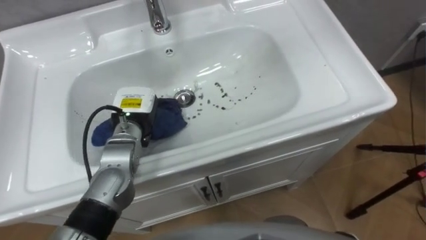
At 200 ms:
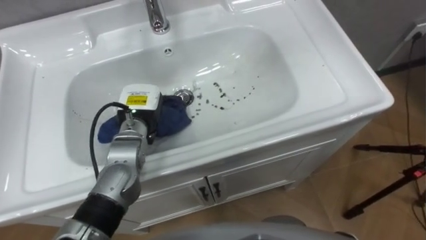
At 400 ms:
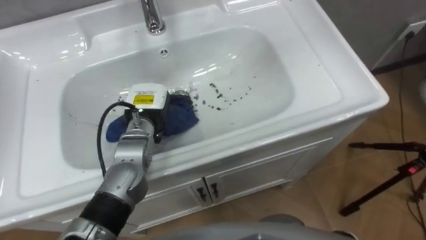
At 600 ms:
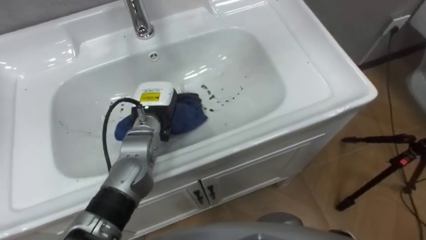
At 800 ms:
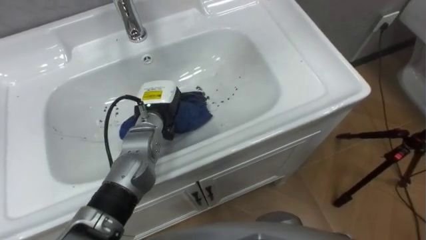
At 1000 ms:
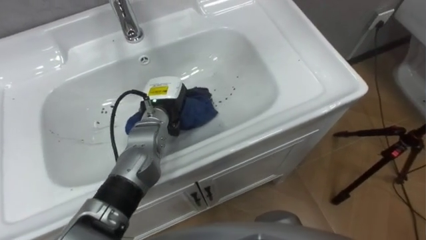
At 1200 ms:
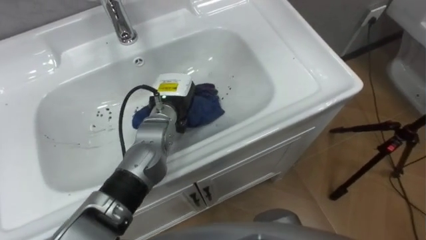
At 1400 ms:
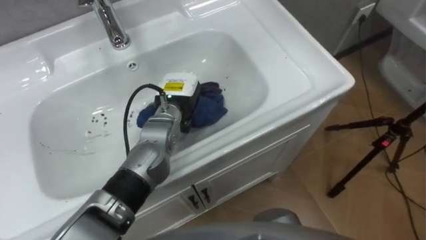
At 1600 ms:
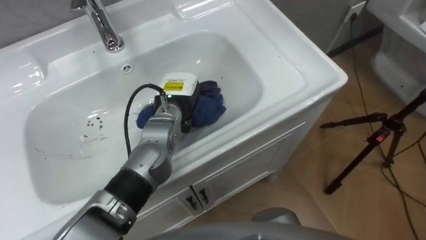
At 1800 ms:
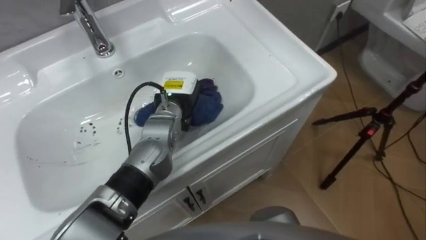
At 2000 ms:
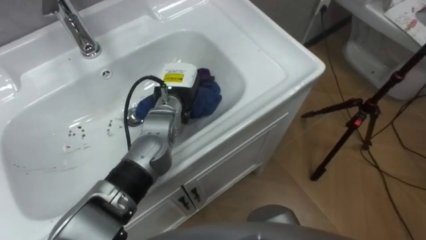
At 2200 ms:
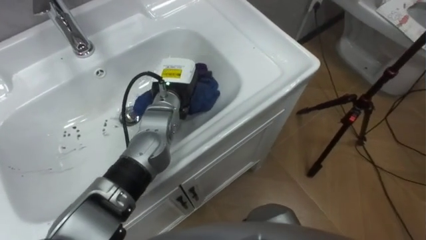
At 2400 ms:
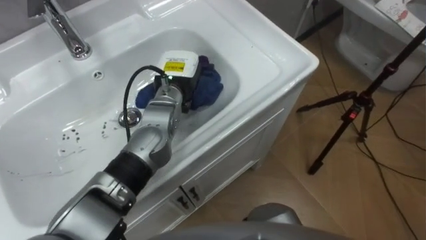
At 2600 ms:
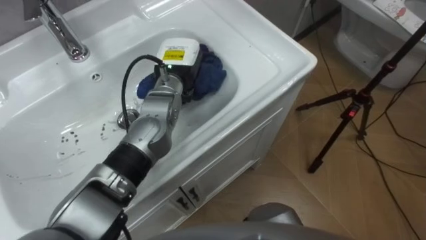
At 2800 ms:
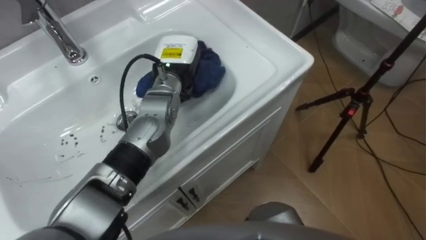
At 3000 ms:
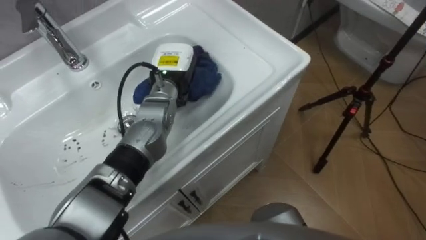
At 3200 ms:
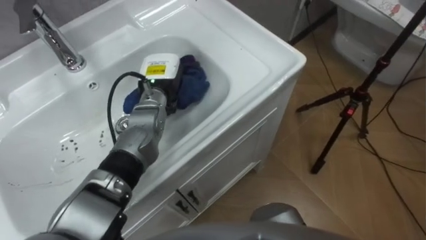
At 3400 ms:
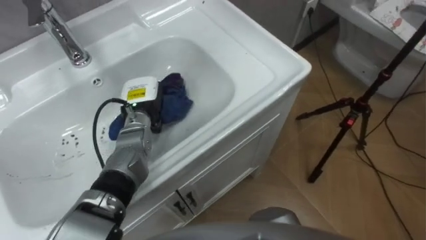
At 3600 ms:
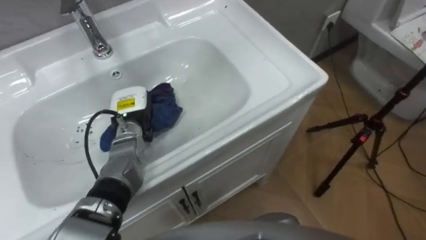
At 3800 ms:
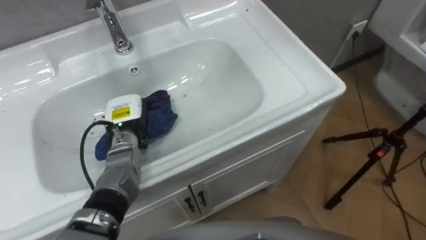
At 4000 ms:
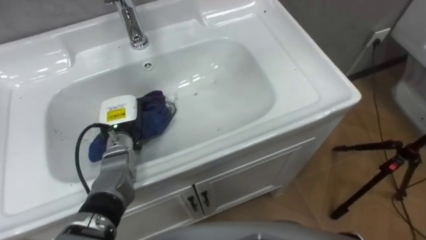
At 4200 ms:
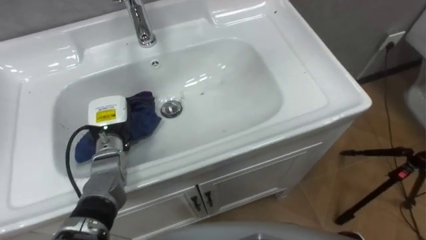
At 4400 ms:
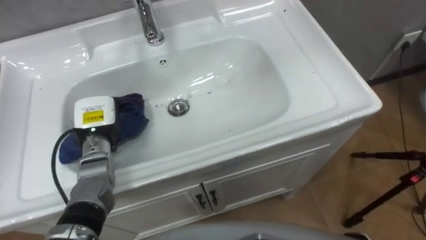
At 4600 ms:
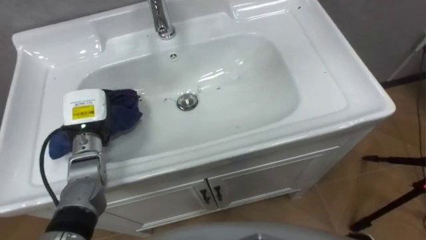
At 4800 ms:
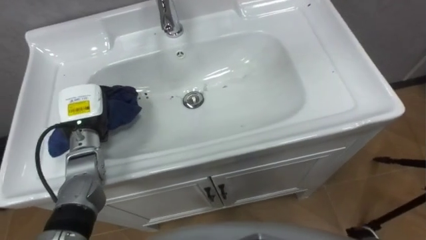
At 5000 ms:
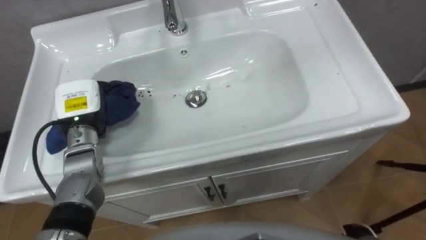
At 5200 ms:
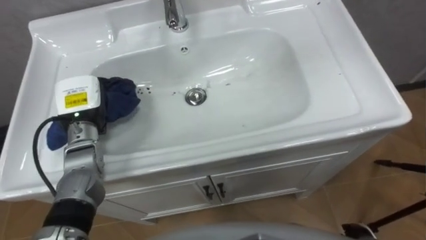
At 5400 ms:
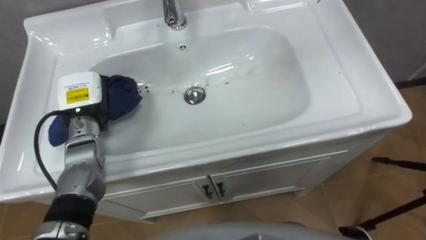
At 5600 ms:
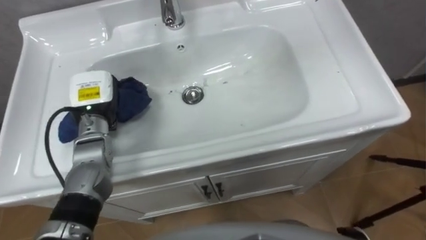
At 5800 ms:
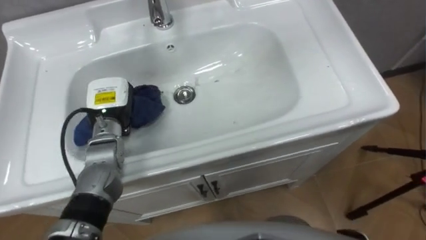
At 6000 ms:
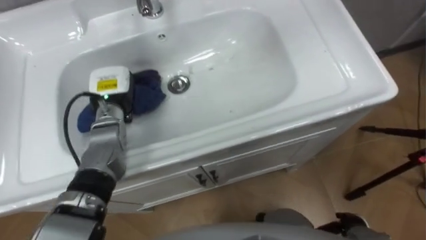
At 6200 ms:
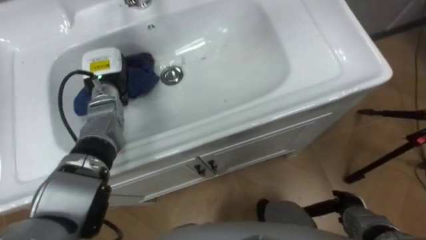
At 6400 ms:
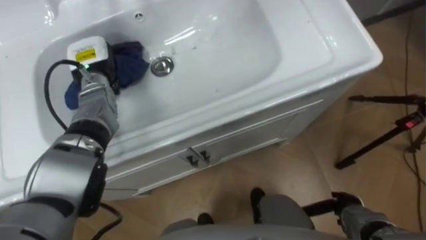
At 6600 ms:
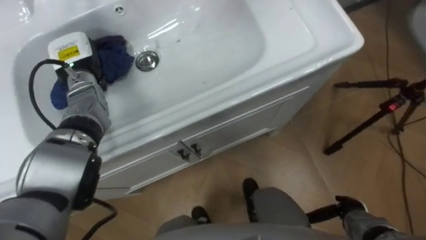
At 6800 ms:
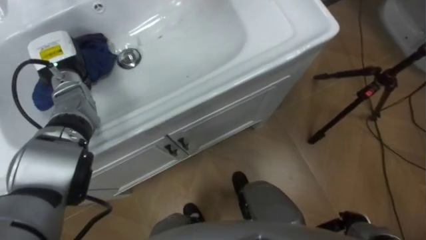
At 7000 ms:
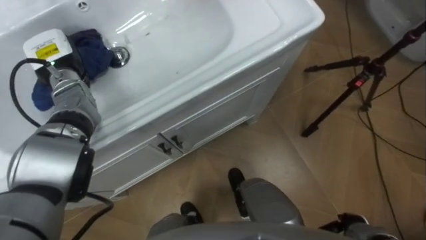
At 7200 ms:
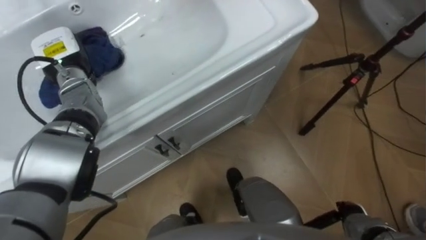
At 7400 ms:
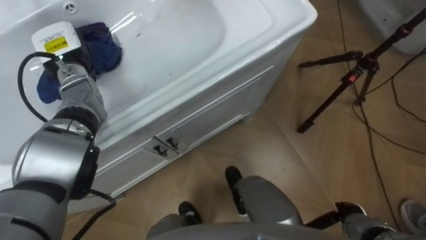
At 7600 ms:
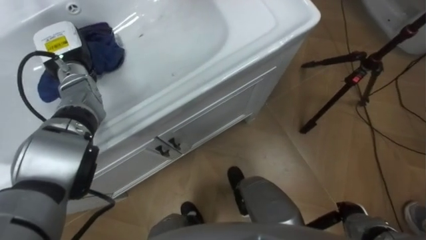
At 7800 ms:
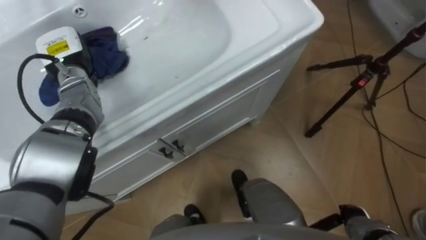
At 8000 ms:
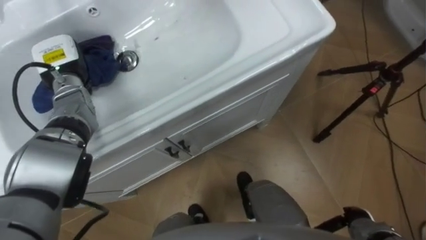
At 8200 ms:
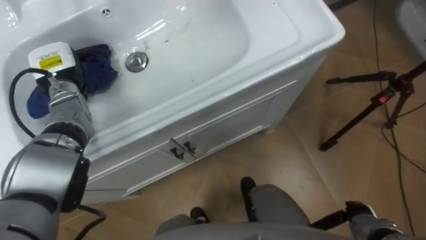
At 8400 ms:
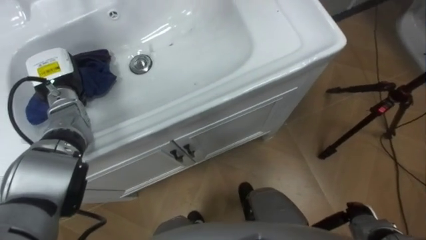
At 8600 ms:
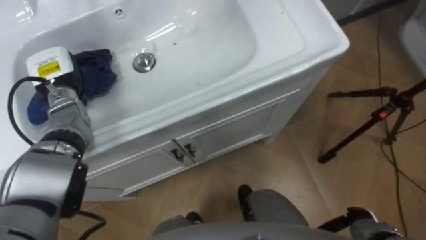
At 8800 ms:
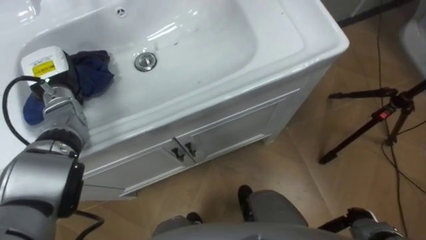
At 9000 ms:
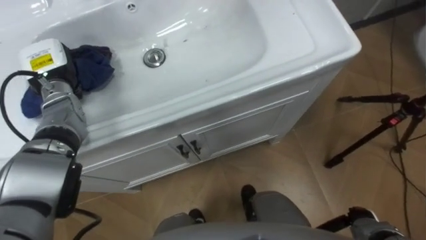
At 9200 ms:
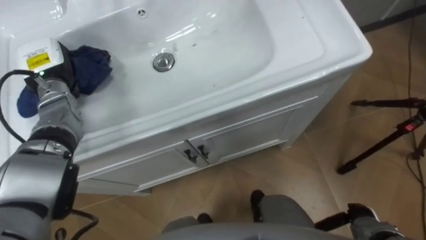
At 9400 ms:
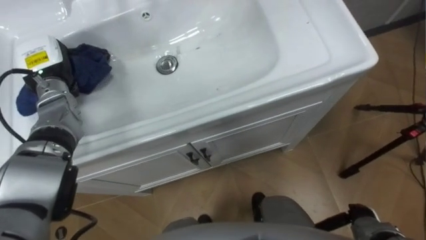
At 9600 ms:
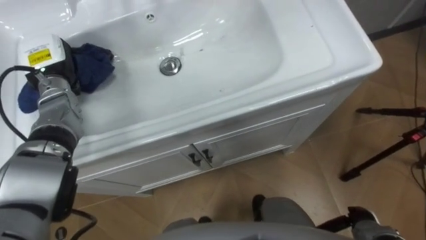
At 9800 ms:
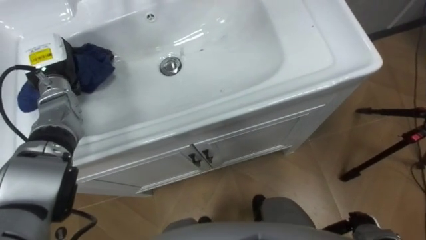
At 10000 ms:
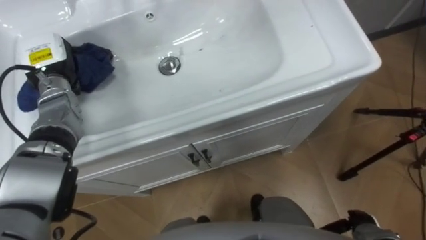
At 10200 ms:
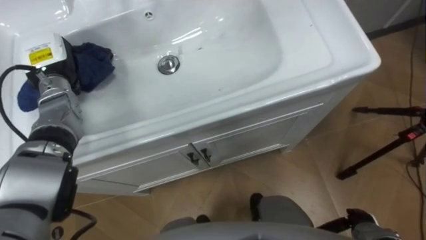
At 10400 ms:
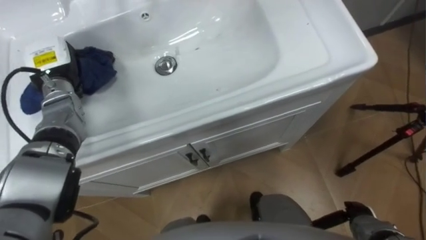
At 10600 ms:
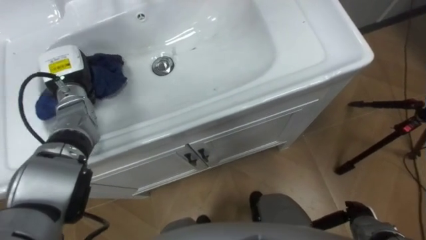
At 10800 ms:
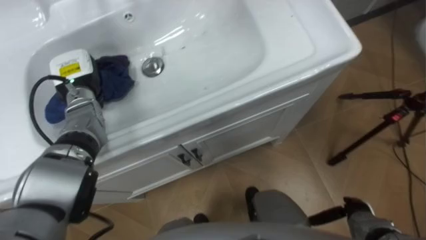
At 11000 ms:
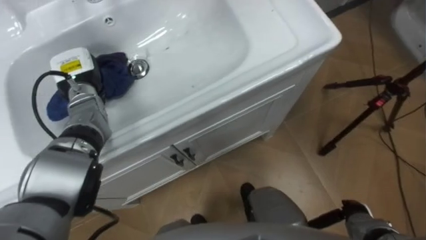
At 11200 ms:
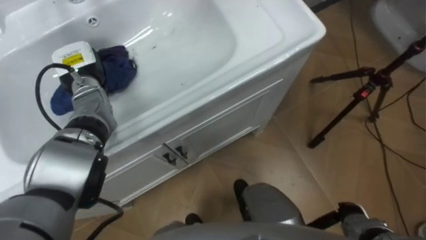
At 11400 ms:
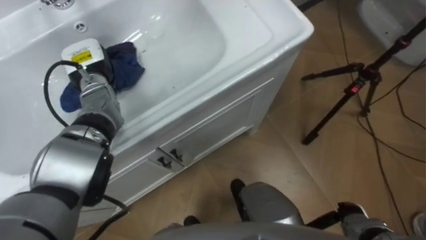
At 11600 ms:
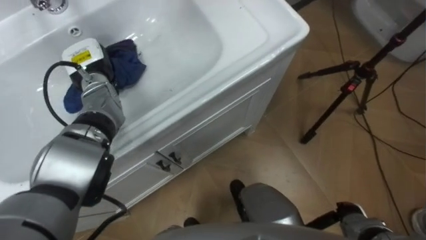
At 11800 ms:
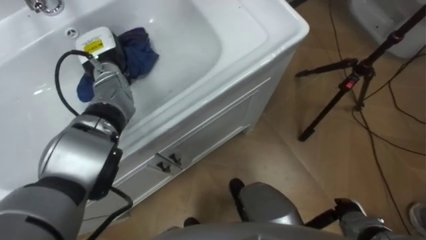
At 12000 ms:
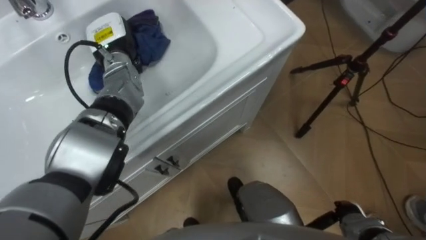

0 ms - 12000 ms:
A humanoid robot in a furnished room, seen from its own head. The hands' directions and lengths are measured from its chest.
Task of the whole recording: Use the cloth on the right to wipe away the black stain in the sink.
0 ms - 1600 ms: The left hand is displaced to the right by about 10 cm.
1600 ms - 3000 ms: The left hand moves approximately 5 cm.
3000 ms - 4400 ms: The left hand heads to the left, backward and downward, covering about 20 cm.
4400 ms - 6000 ms: The left hand moves forward, approximately 5 cm.
6000 ms - 7600 ms: The left hand is displaced to the left, forward and upward by some 10 cm.
10400 ms - 12000 ms: The left hand shifts roughly 10 cm to the right.

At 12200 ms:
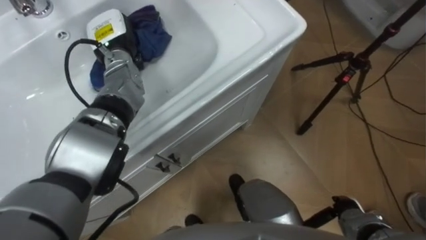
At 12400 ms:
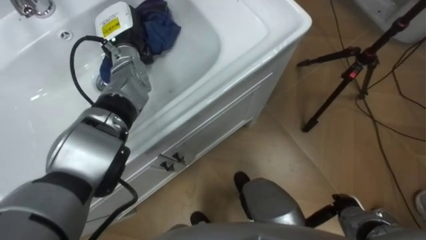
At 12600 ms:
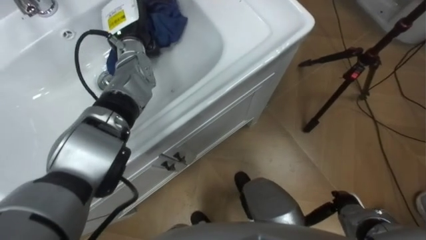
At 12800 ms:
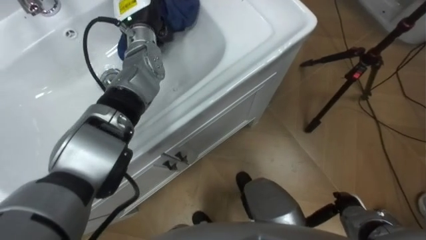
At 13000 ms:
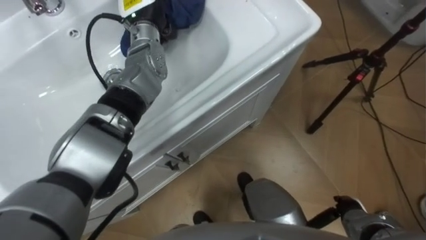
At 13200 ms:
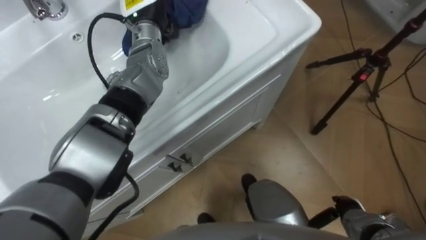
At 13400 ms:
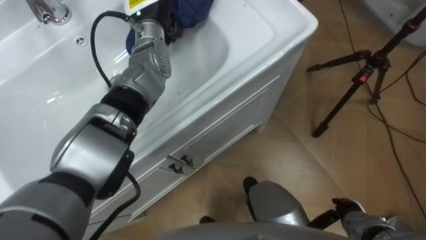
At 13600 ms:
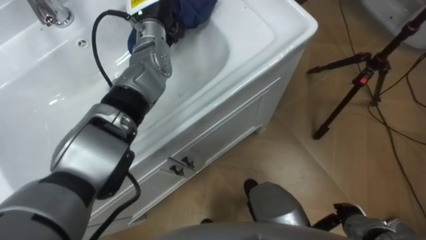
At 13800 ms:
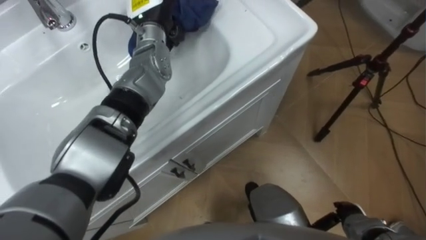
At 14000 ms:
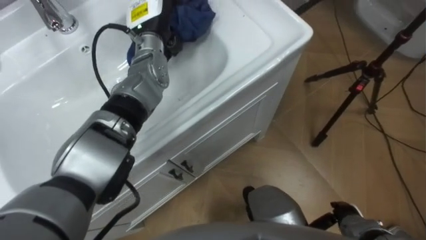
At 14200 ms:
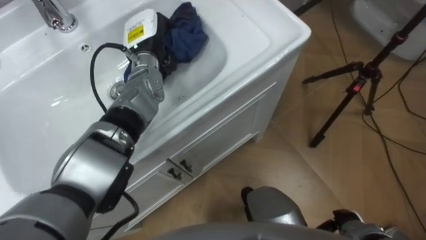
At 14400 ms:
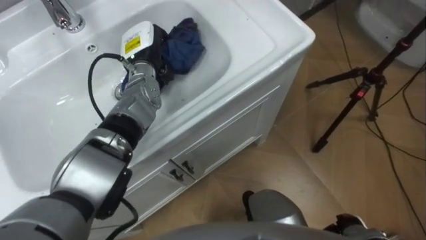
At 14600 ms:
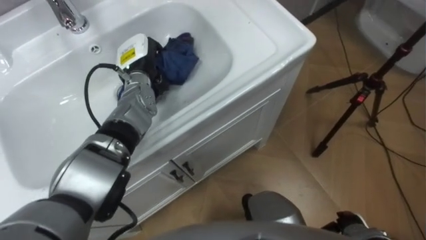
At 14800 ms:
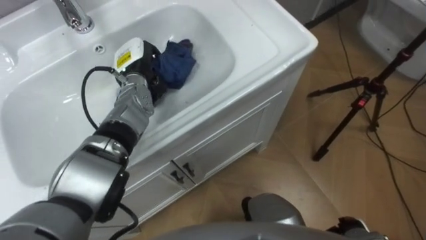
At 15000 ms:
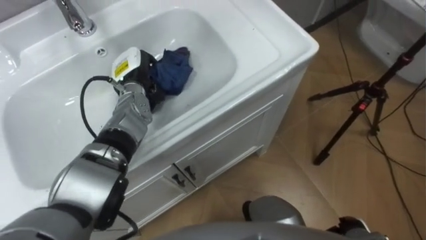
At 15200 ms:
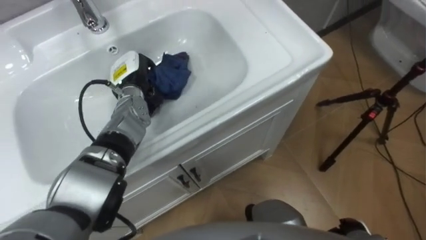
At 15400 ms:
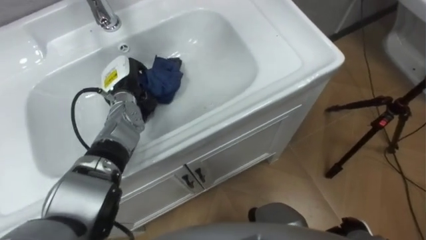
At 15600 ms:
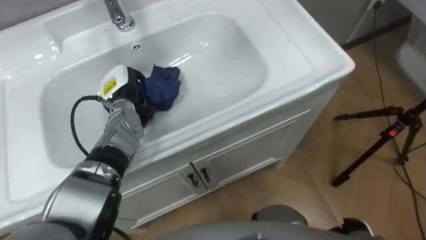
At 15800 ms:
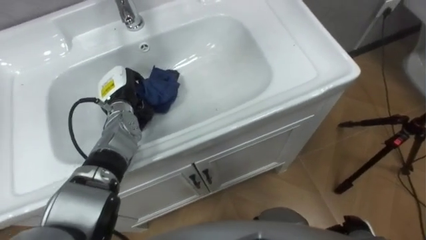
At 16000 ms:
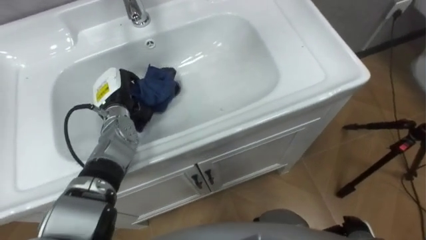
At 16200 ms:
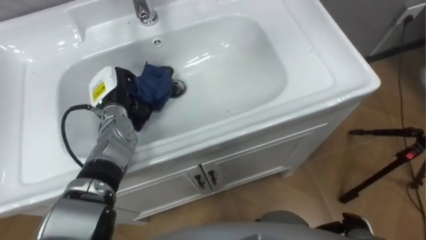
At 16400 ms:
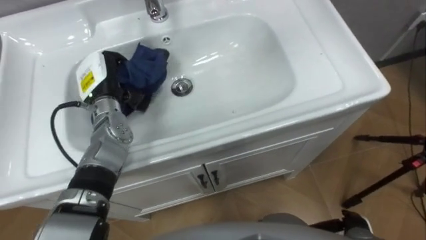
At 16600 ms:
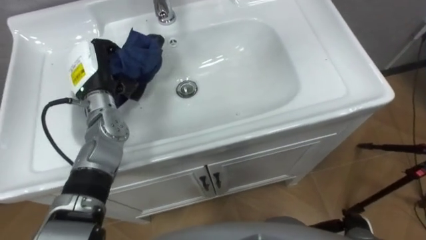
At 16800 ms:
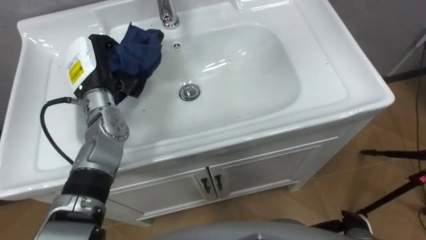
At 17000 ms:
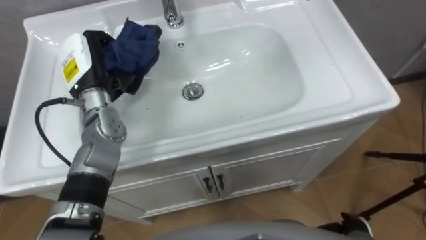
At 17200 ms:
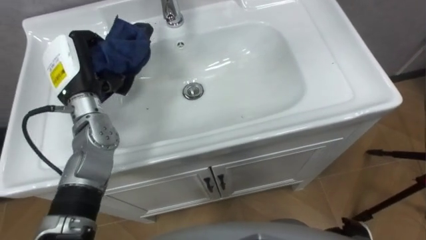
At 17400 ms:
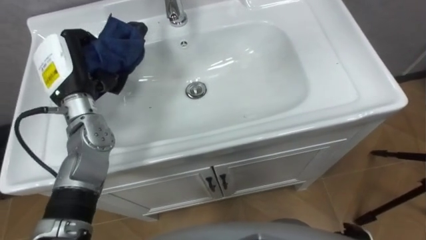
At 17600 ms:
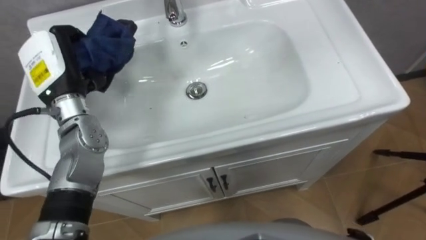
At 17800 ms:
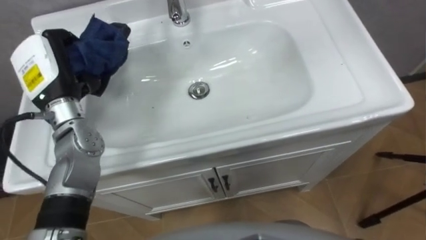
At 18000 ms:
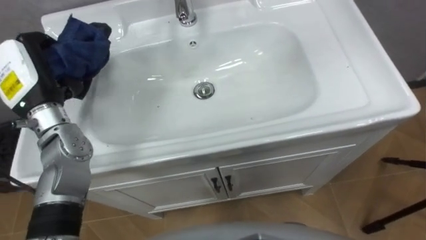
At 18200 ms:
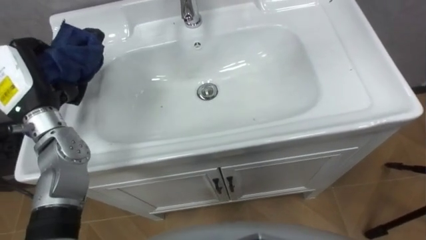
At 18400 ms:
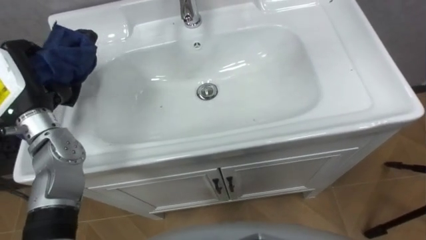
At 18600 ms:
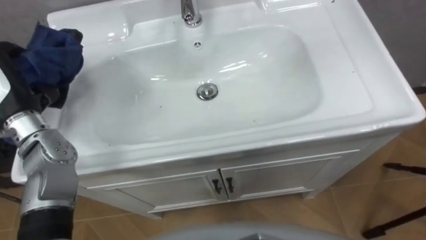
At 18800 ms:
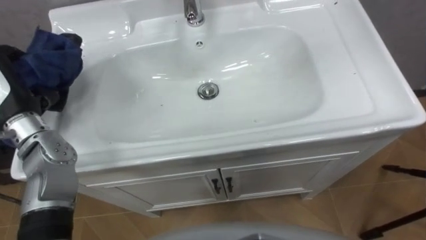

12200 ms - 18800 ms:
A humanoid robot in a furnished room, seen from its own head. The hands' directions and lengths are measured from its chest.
Task of the whole recording: Use the cloth on the right to wipe away the black stain in the sink.
12200 ms - 13800 ms: The left hand heads to the right and upward, covering approximately 10 cm.
13800 ms - 15400 ms: The left hand shifts approximately 15 cm downward, to the left and backward.
15400 ms - 17200 ms: The left hand travels upward and to the left by approximately 10 cm.
